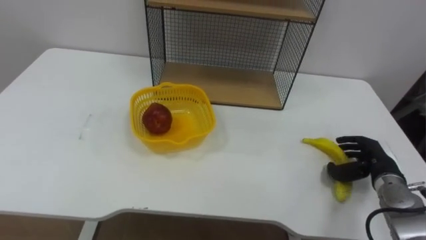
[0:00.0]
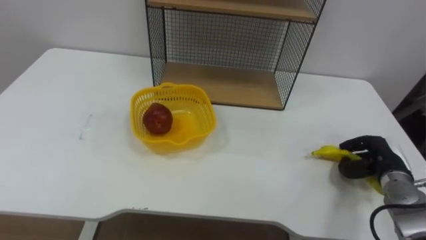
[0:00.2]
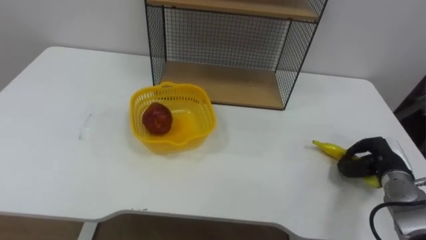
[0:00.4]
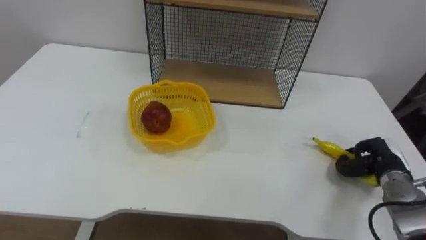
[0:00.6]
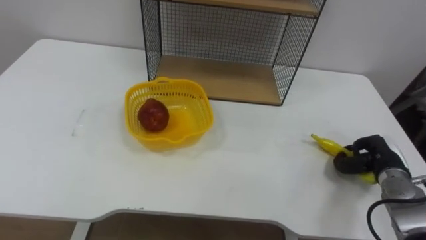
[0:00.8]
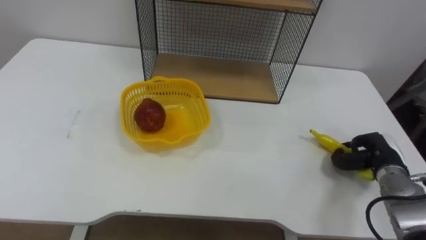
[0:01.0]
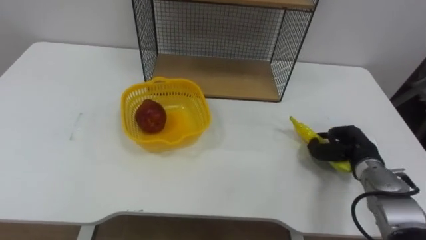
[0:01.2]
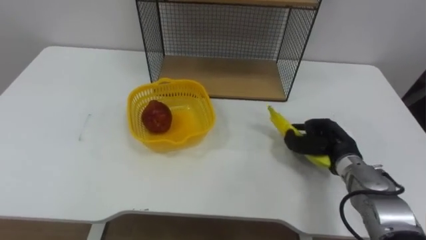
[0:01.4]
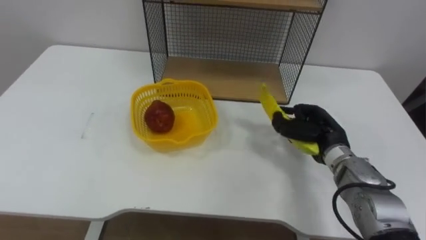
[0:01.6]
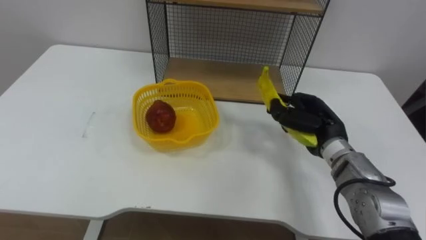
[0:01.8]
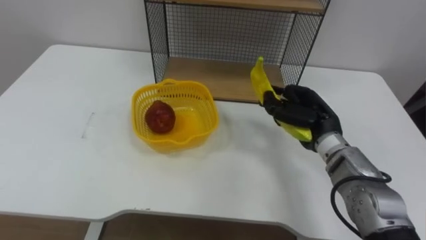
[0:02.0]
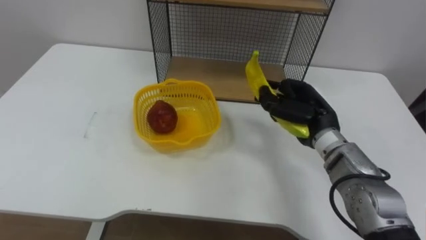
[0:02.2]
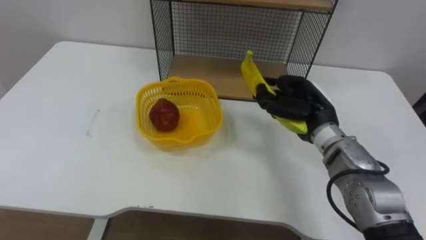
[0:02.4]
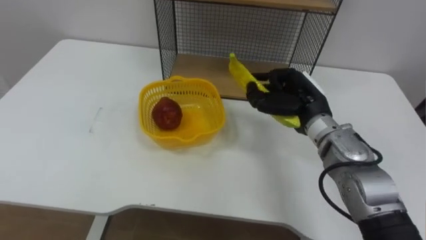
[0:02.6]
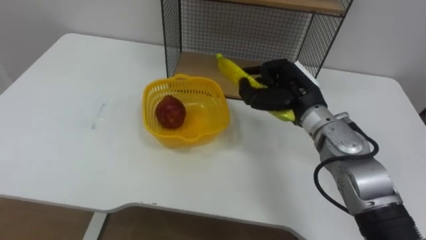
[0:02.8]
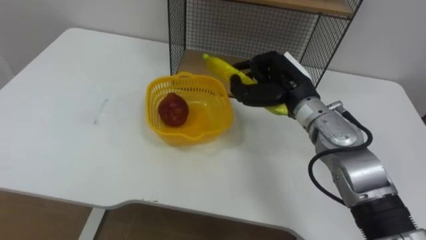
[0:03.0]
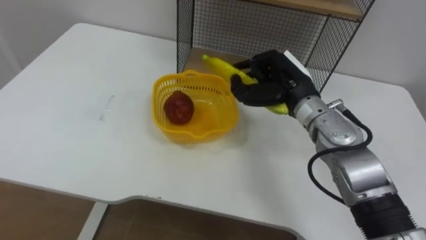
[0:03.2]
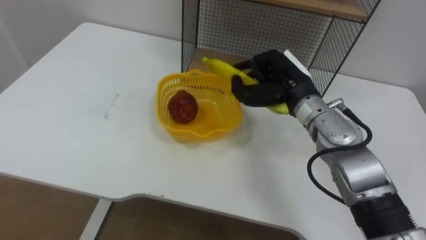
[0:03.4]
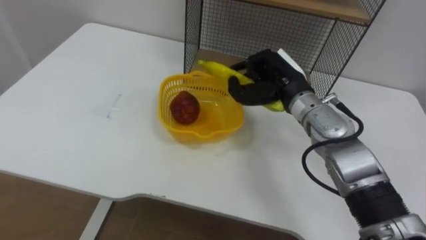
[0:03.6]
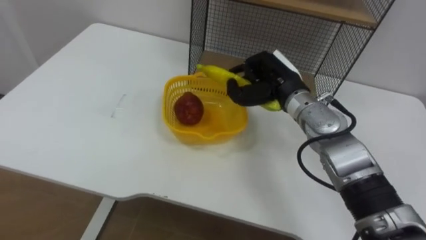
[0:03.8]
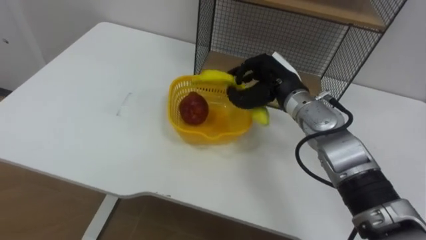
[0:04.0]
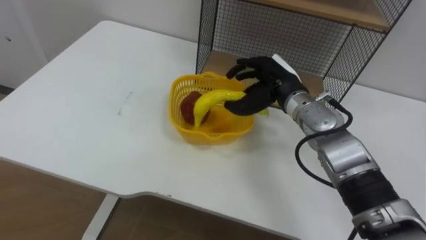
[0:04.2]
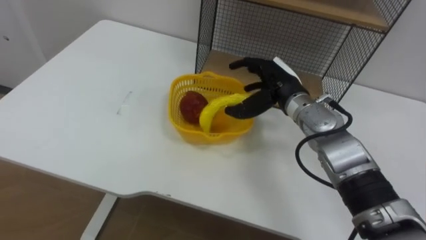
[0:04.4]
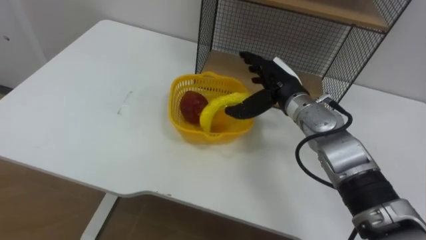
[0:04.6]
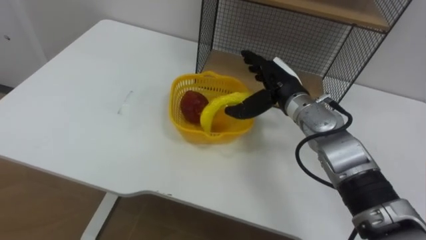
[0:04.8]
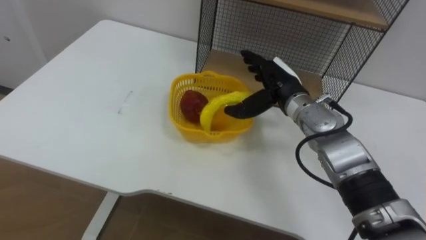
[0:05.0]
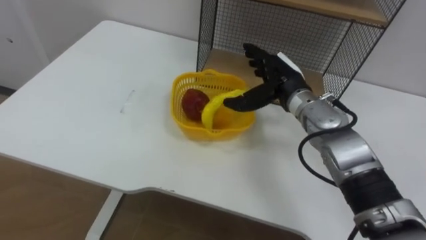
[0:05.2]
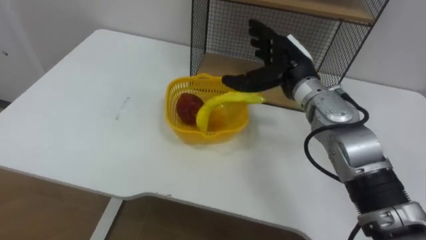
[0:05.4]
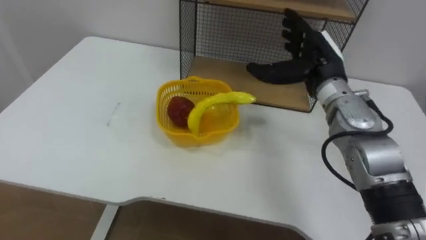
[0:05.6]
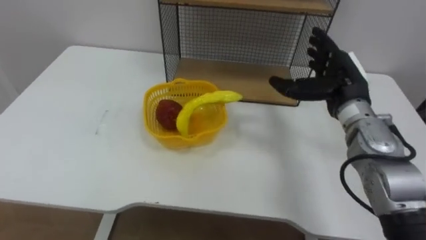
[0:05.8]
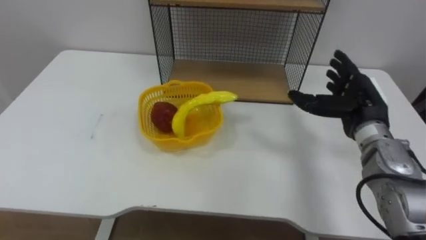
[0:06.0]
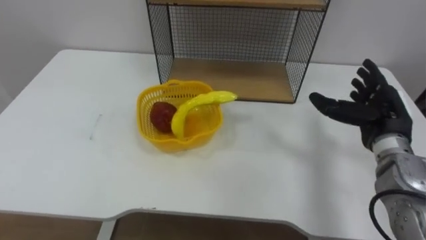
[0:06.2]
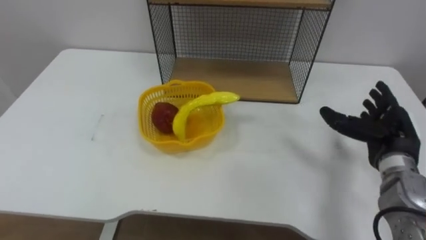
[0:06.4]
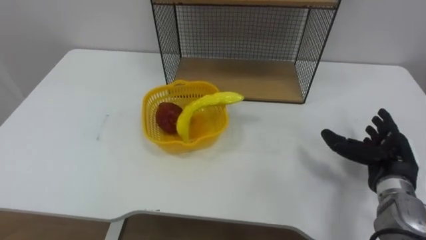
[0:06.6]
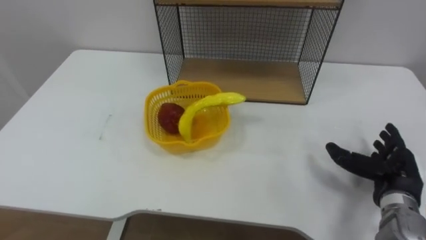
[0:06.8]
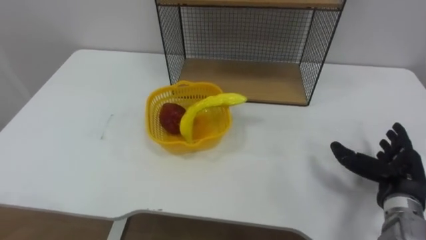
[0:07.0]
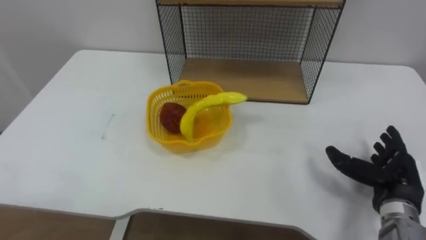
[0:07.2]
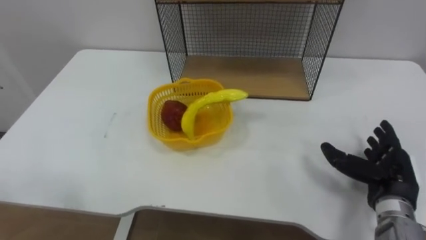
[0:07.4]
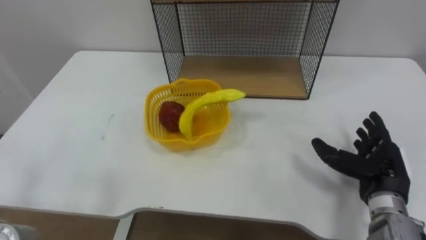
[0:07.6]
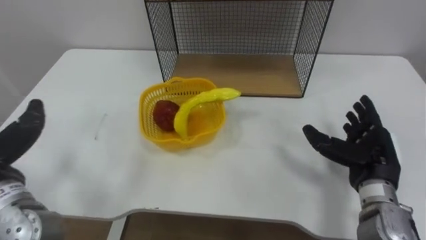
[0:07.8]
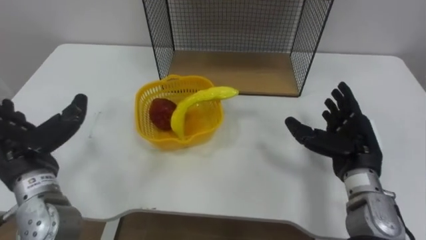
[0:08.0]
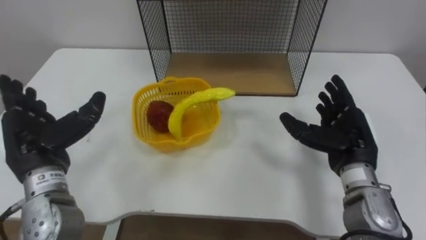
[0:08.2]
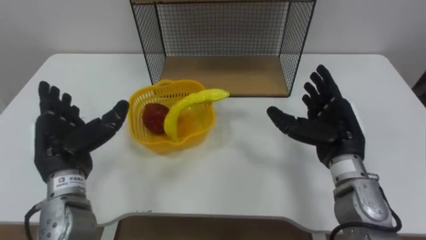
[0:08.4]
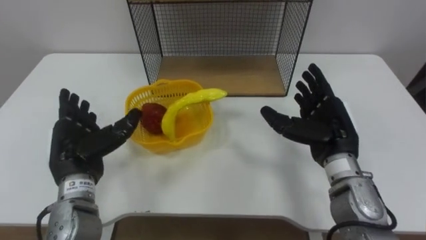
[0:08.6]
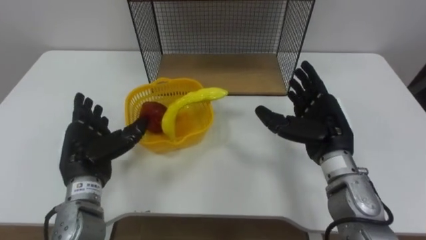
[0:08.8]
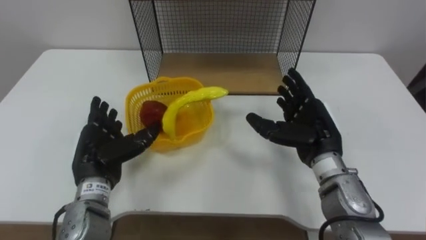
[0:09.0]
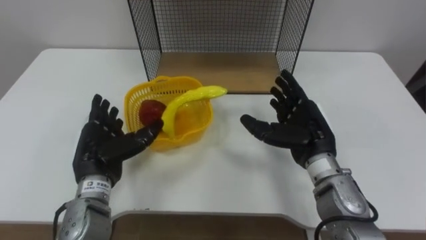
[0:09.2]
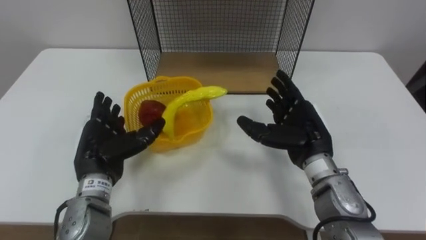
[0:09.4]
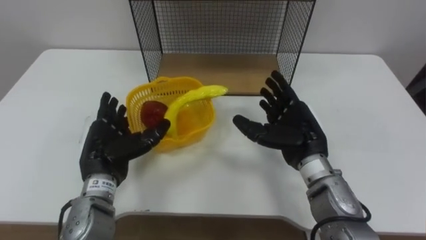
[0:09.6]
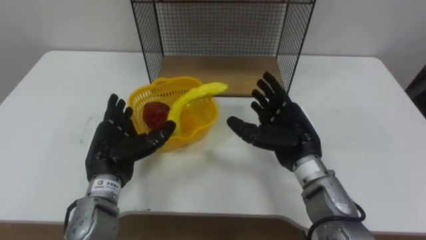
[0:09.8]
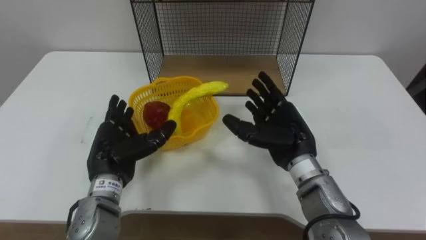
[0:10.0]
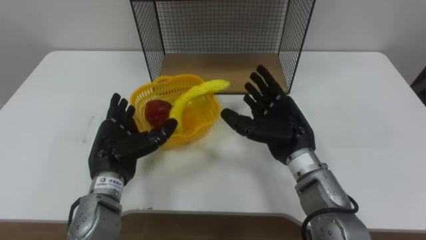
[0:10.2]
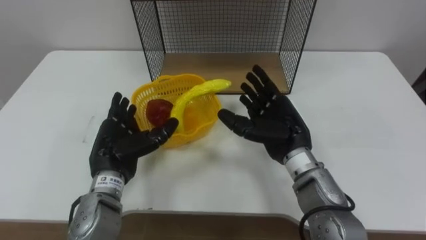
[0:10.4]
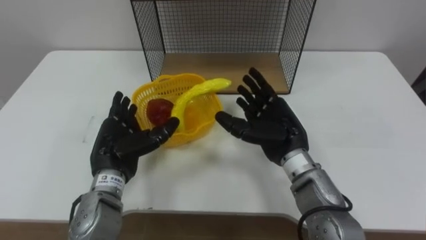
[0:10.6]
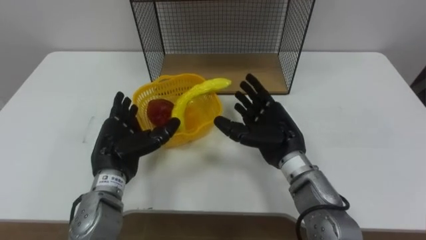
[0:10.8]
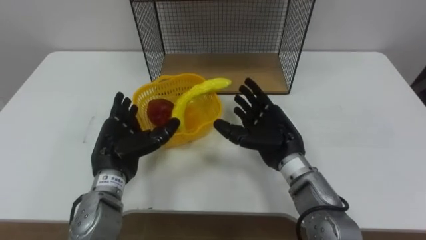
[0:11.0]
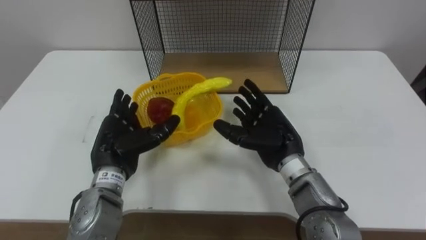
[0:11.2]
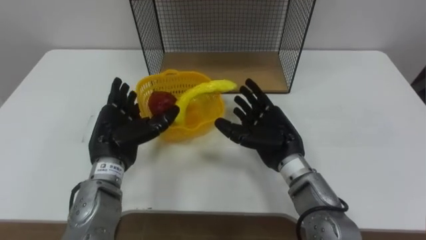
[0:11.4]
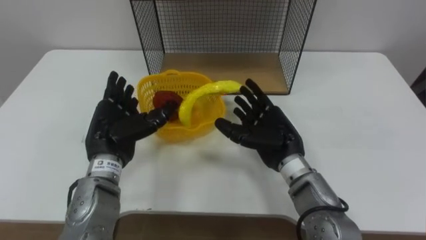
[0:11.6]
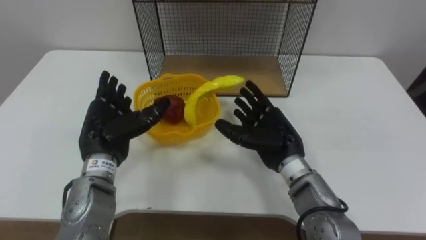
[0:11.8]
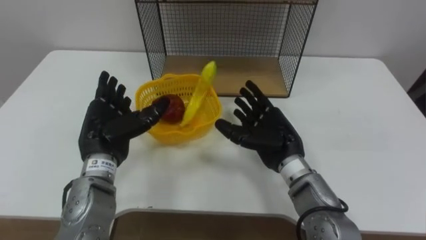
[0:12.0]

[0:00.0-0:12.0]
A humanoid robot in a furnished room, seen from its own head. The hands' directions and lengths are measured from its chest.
Task of the whole recording: Put the fruit on the table into the basket, then place the basket on the shelf.
0:00.0 to 0:01.6: The right hand shifts about 15 cm to the left and upward, and closes.
0:01.6 to 0:03.0: The right hand heads upward and to the left, covering some 15 cm.
0:03.0 to 0:04.4: The right hand opens its fingers.
0:04.4 to 0:06.0: The right hand shifts approximately 15 cm to the right.
0:06.0 to 0:07.6: The right hand shifts roughly 10 cm backward and downward.
0:07.6 to 0:09.0: The right hand goes approximately 15 cm to the left and forward.
0:09.0 to 0:10.4: The right hand moves to the left, about 5 cm.
0:10.4 to 0:12.0: The hands make only small movements.

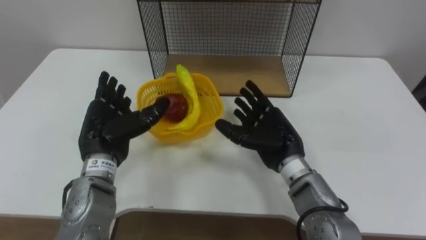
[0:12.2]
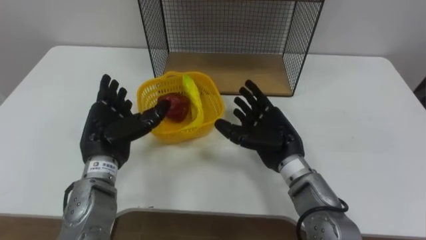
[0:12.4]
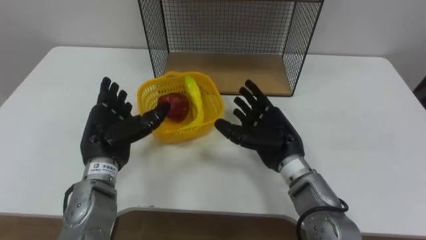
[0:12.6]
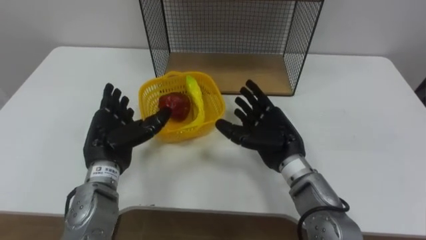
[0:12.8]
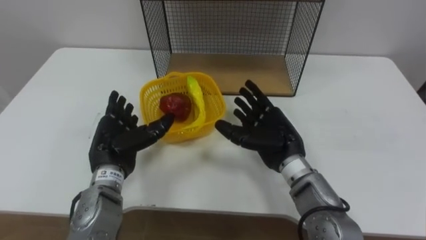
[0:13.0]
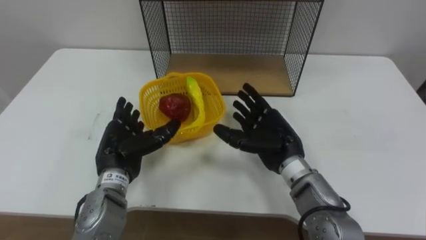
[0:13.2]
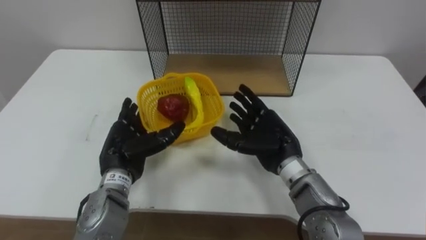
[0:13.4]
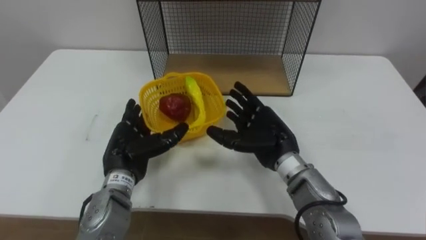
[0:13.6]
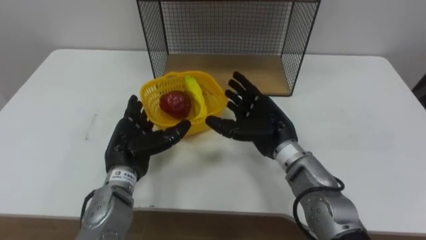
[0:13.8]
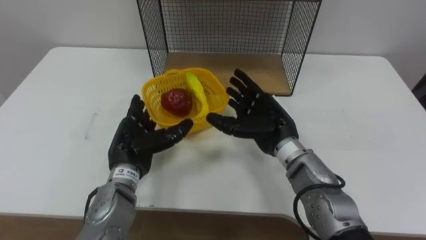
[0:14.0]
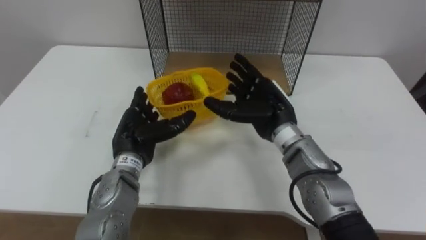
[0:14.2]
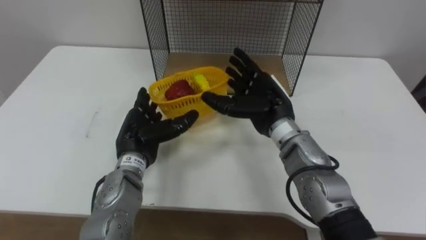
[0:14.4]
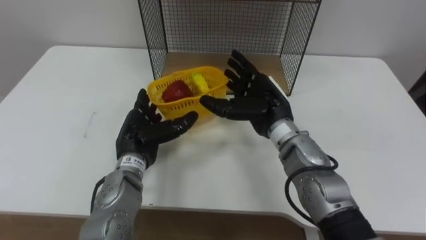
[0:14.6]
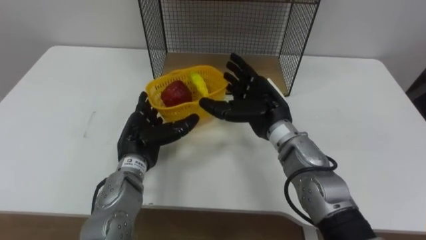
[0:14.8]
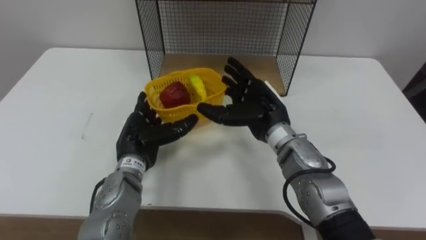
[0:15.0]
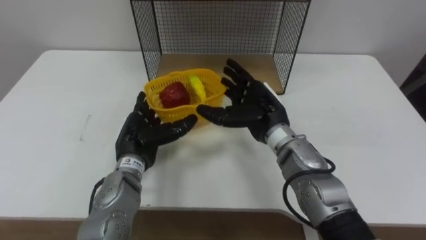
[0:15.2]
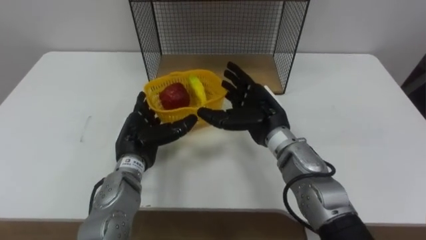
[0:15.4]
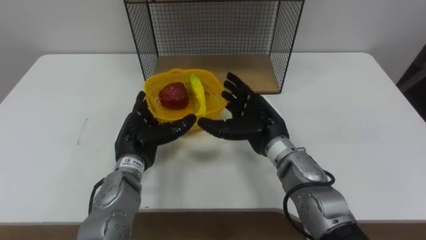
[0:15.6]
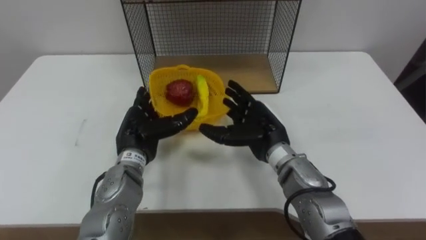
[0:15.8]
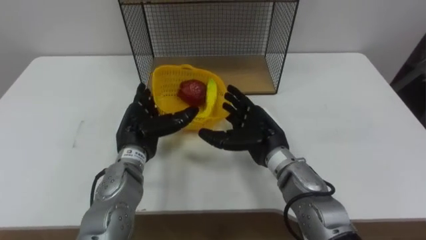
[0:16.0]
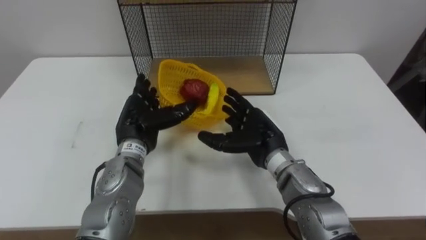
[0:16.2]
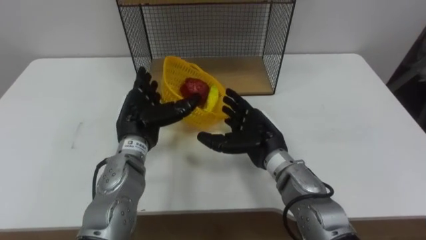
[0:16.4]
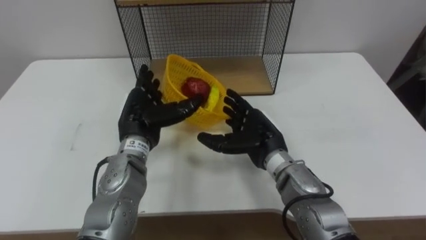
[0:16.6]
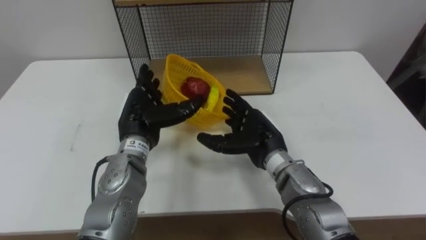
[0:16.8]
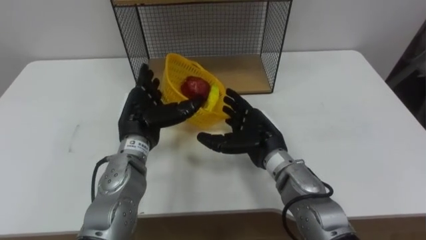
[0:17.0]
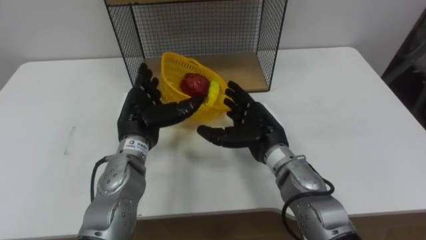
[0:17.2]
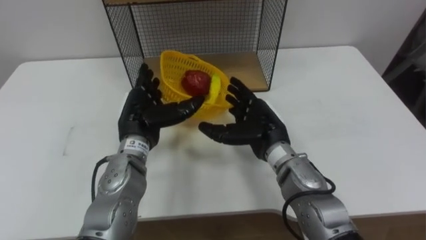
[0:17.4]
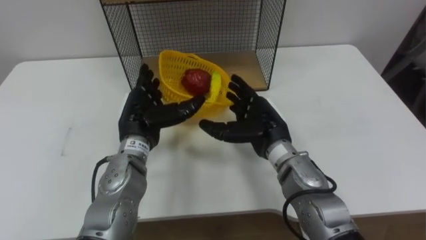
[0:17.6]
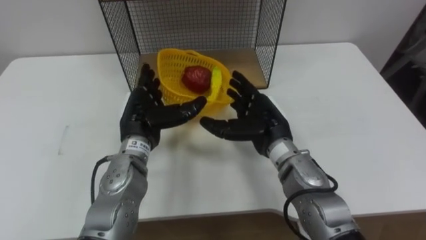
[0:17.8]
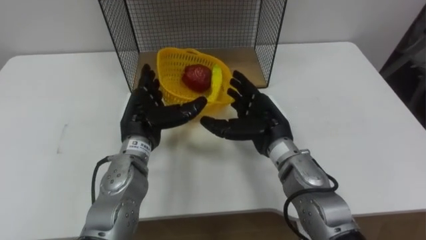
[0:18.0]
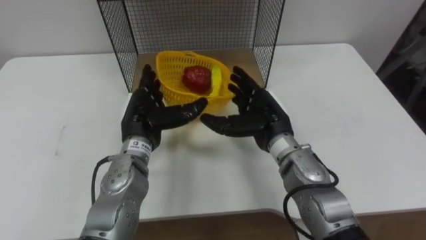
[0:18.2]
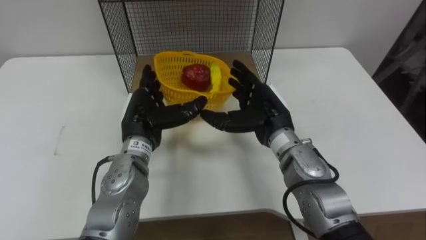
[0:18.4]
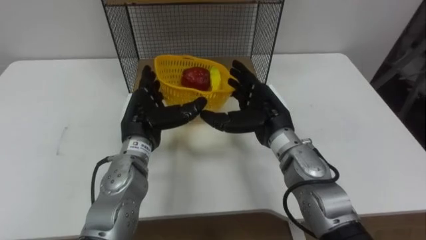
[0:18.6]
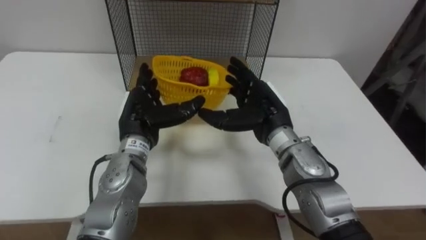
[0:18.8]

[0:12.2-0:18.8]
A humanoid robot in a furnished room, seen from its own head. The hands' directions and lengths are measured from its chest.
Task of the whole recording: Put the fruit on the table into the basket, then place the basket on the shelf.
0:12.2 to 0:13.8: The left hand moves roughly 5 cm.
0:15.4 to 0:17.2: The left hand shifts by some 5 cm.
